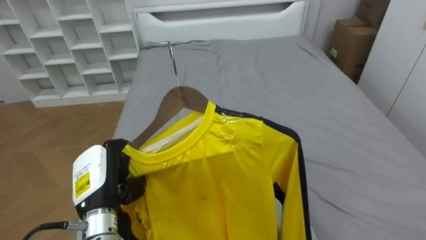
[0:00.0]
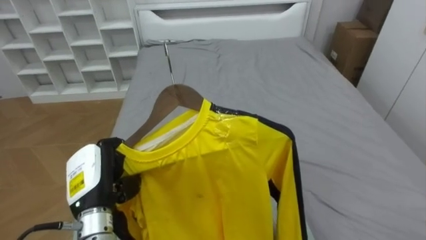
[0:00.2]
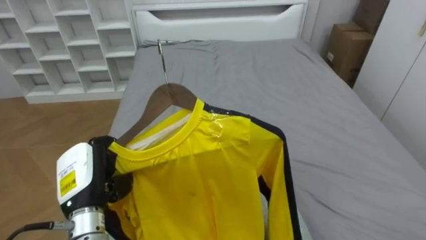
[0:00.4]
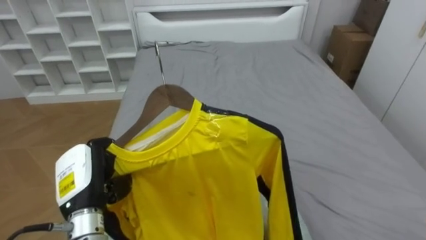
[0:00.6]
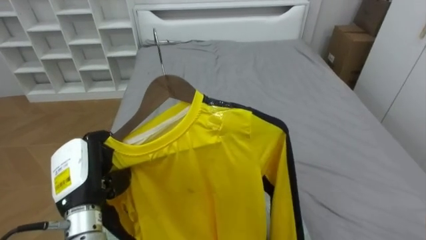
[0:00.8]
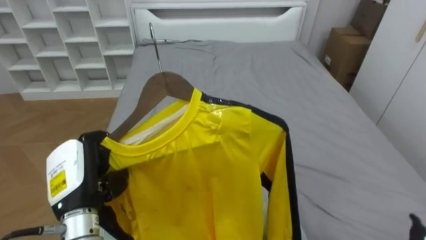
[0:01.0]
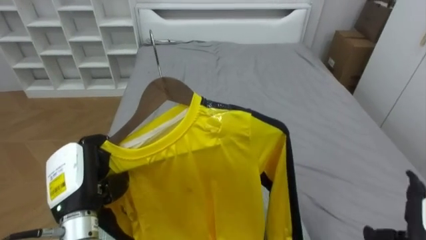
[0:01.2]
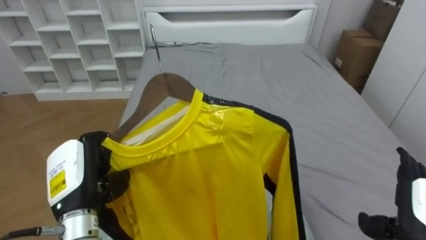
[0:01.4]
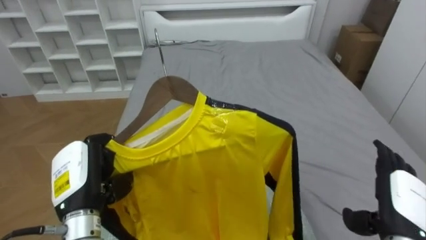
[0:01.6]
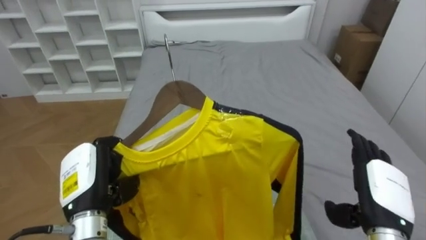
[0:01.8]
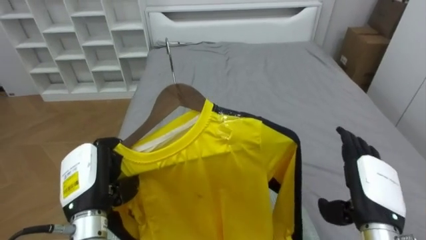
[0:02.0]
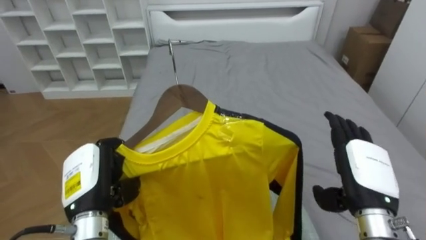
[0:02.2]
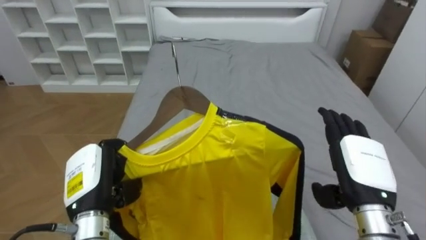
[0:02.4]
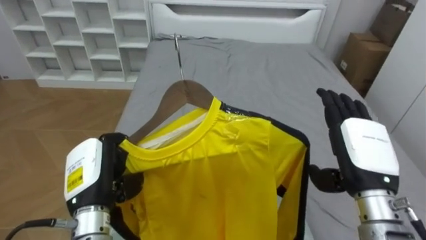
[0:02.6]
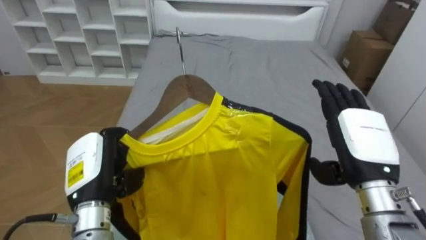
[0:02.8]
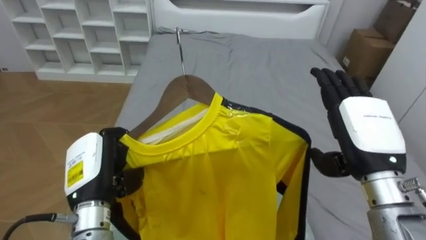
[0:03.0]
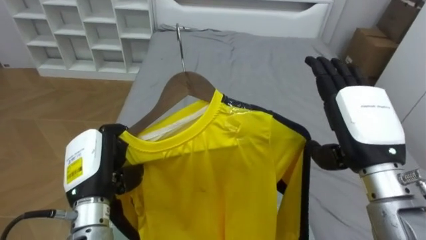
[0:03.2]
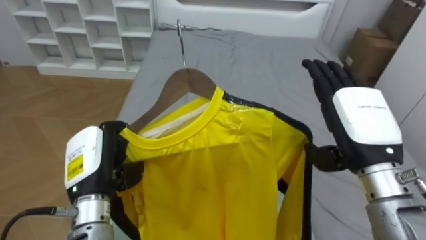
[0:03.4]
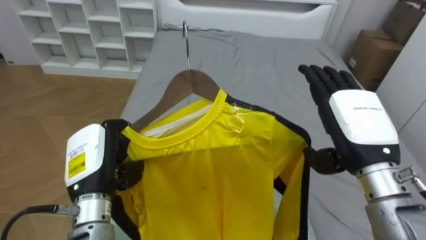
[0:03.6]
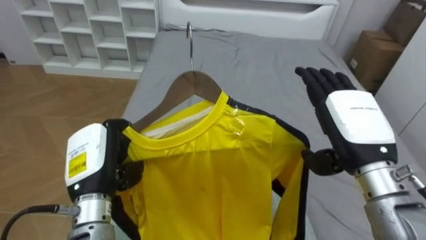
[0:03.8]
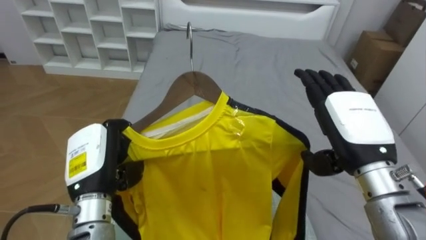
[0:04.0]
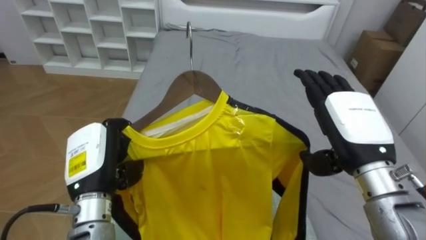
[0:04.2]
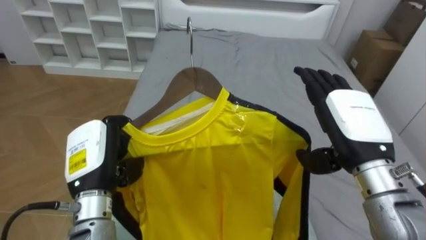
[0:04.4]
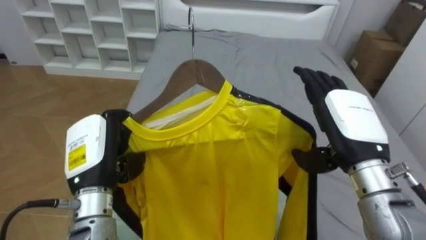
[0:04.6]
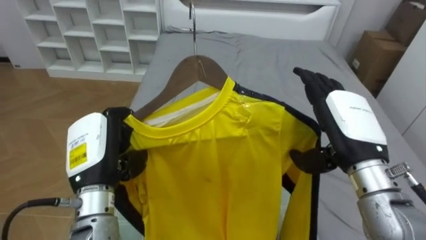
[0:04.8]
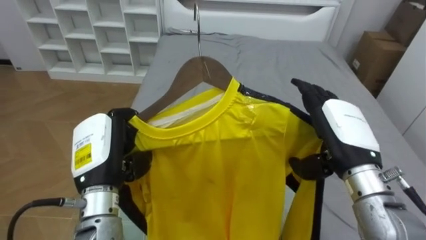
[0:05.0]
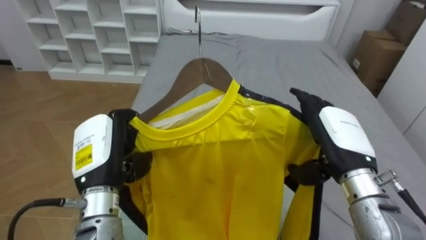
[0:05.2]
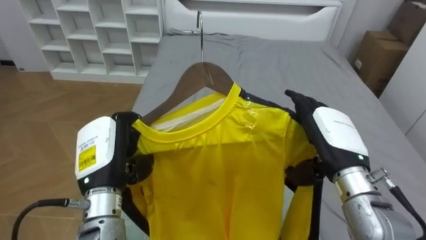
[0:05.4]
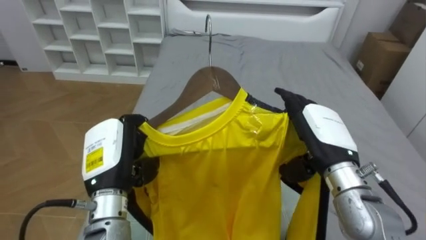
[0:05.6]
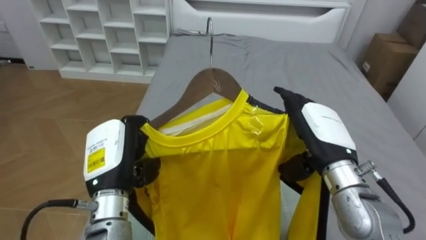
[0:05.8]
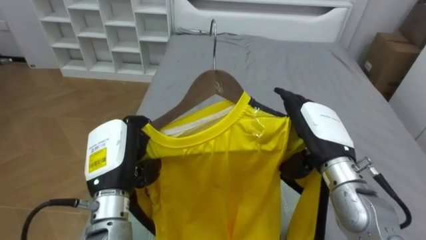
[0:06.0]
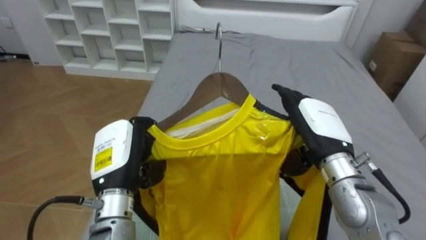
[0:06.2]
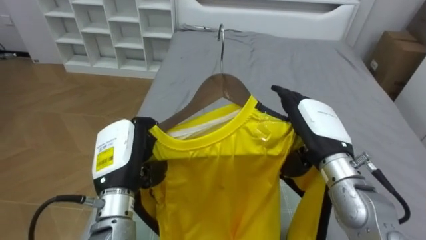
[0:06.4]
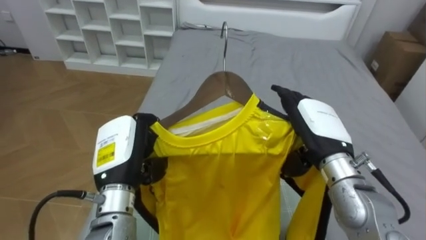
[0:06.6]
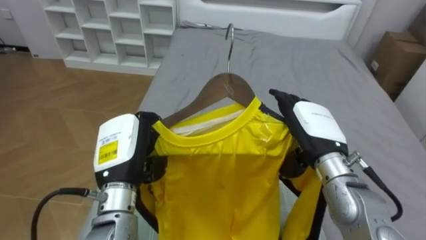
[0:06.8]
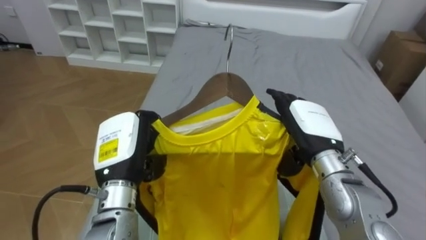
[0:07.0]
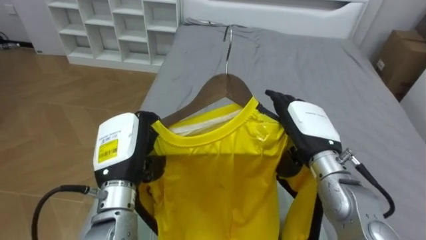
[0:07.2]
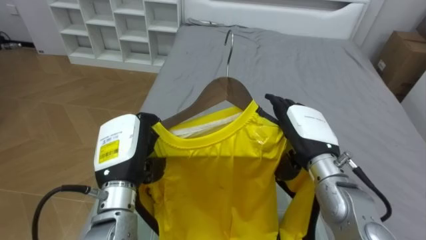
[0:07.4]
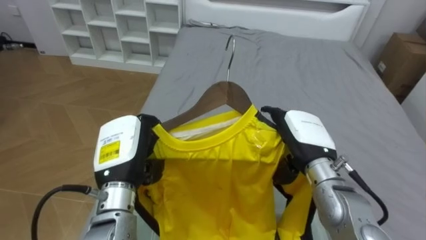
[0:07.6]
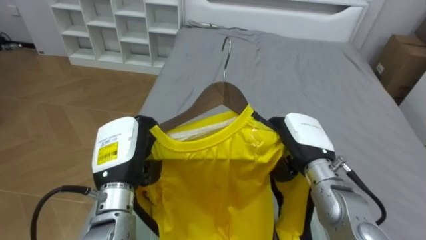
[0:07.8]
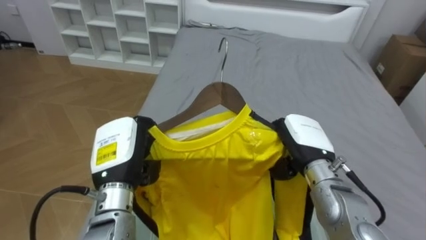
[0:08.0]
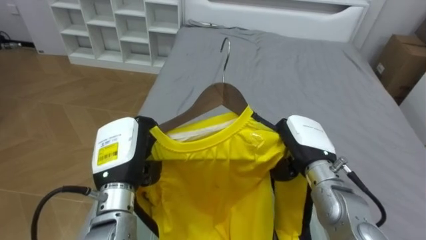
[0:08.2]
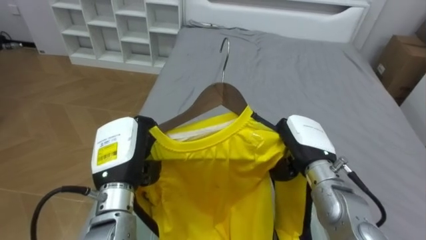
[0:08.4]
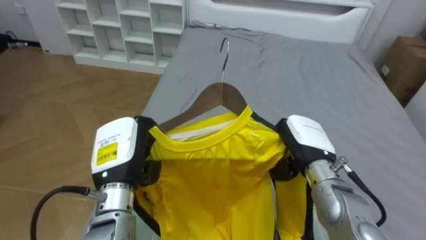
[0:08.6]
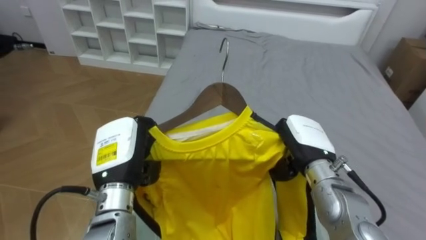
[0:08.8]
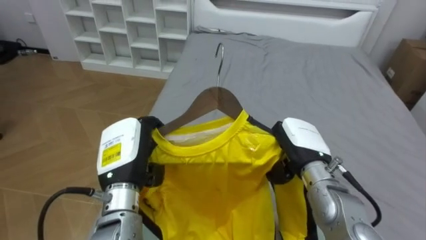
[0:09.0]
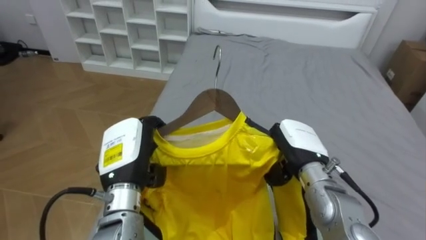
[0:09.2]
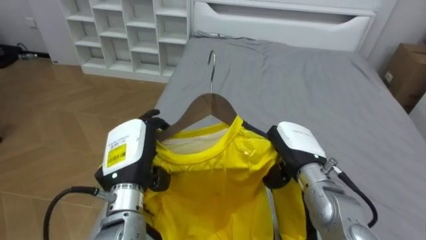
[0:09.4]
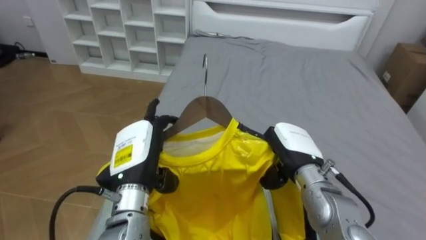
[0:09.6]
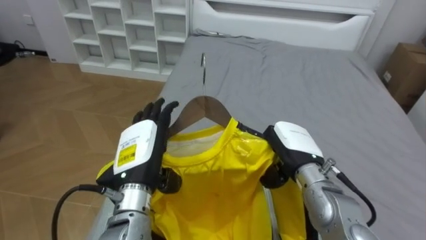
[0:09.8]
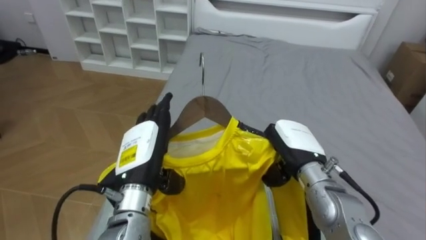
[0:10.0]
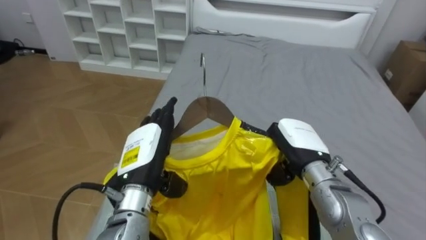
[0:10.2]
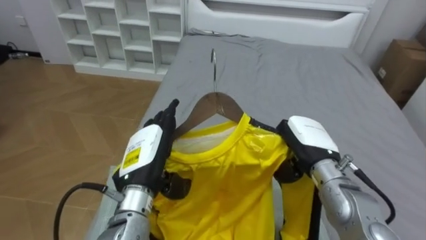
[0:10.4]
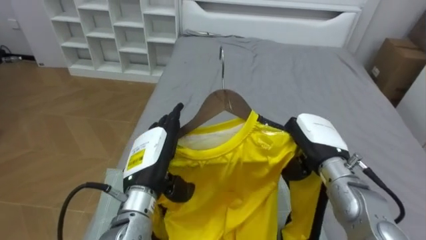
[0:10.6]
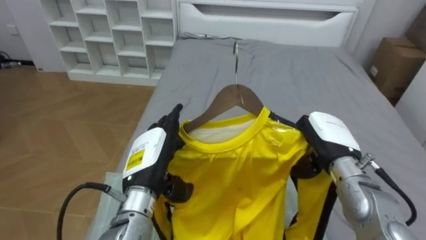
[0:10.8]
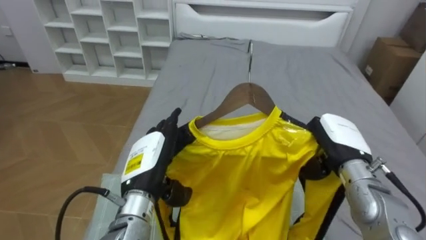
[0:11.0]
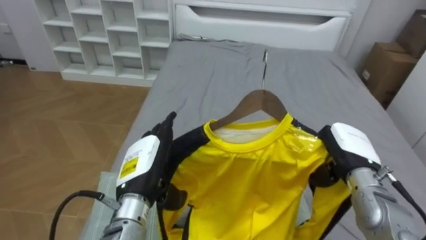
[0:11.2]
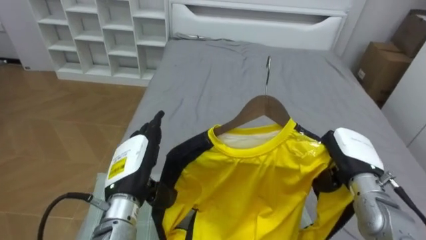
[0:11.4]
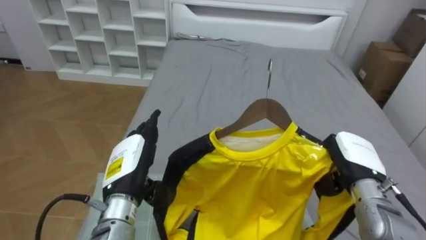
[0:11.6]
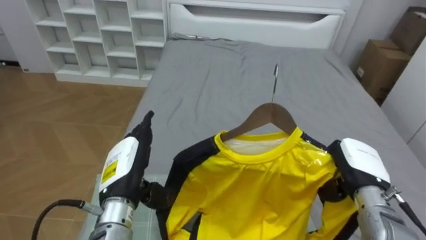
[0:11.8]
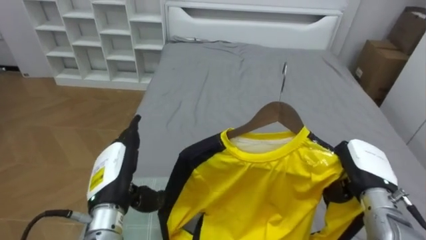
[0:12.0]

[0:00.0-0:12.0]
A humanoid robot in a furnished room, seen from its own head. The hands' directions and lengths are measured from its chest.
Task of the whole recording: Pick up the yellow shirt on the bed and hang it on the clothes rack on the right.
1.6 to 3.0 s: The right hand travels upward, to the left and forward by some 15 cm.
4.4 to 6.0 s: The right hand changes place by about 5 cm.
7.6 to 9.0 s: The right hand closes.
9.0 to 10.4 s: The left hand opens its fingers.
10.4 to 12.0 s: The right hand shifts roughly 10 cm to the right, while the left hand moves to the left, about 5 cm.

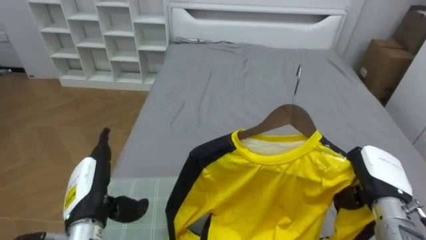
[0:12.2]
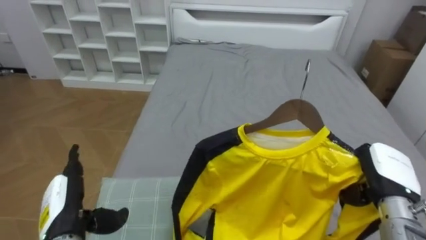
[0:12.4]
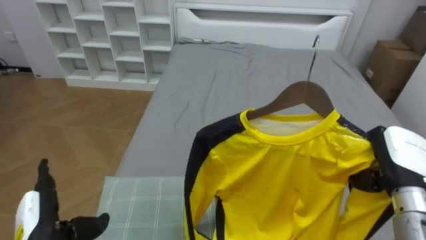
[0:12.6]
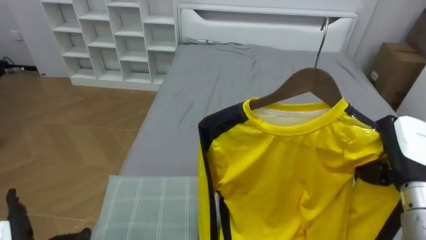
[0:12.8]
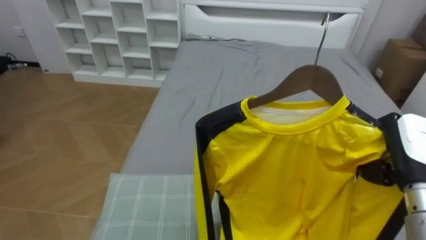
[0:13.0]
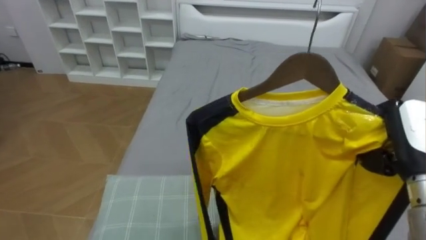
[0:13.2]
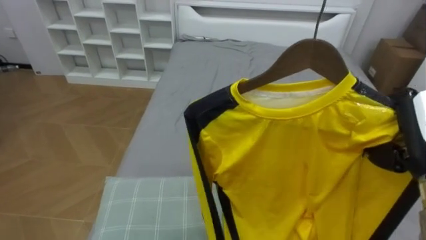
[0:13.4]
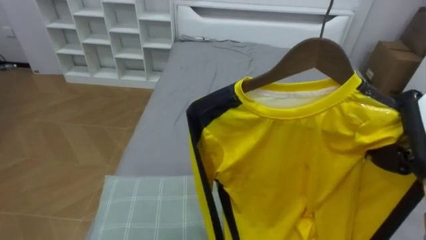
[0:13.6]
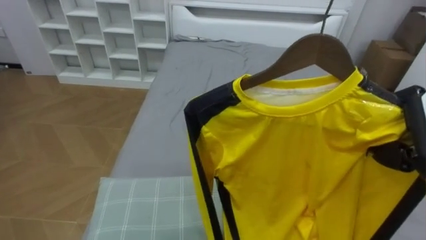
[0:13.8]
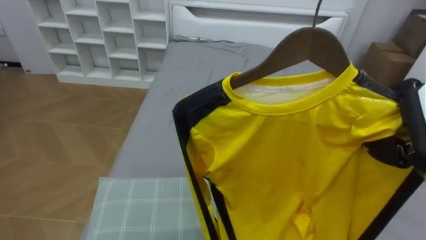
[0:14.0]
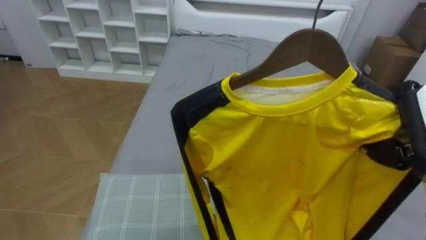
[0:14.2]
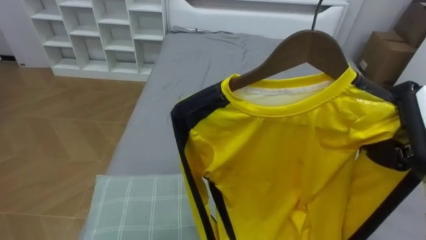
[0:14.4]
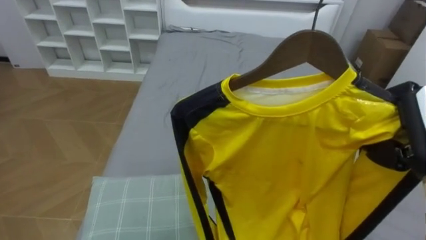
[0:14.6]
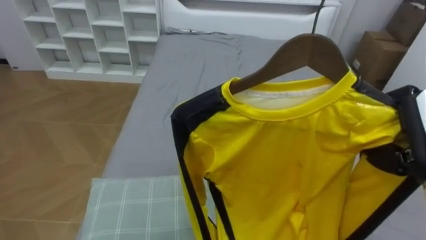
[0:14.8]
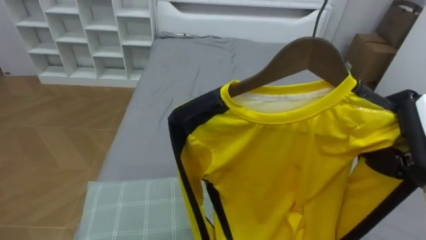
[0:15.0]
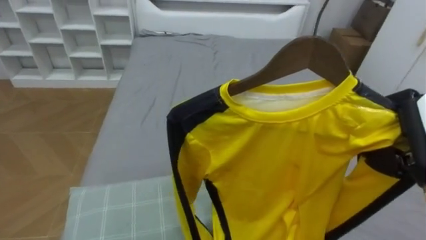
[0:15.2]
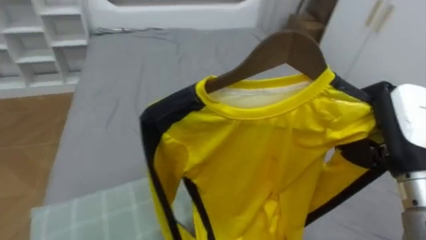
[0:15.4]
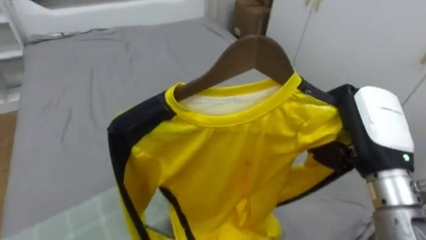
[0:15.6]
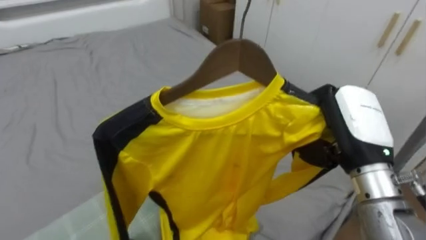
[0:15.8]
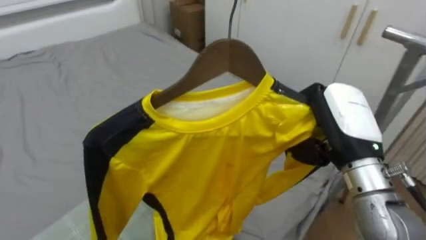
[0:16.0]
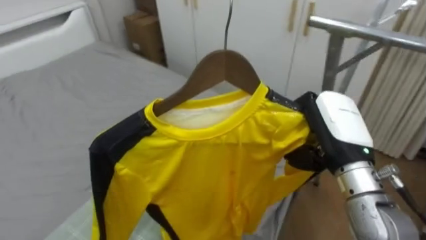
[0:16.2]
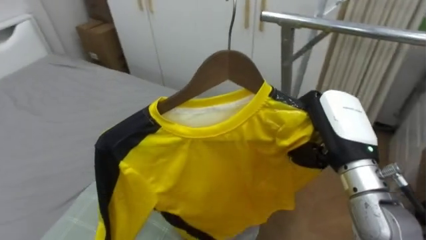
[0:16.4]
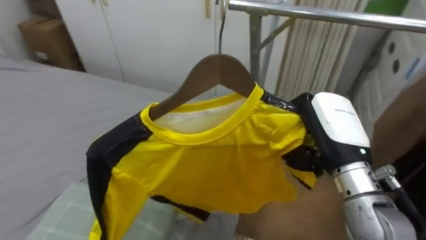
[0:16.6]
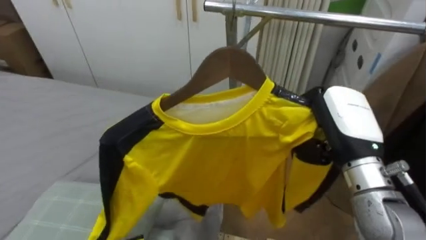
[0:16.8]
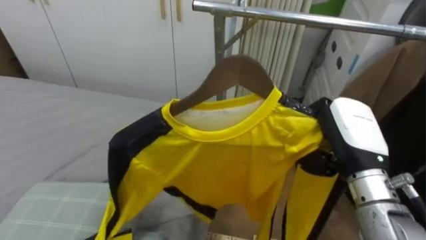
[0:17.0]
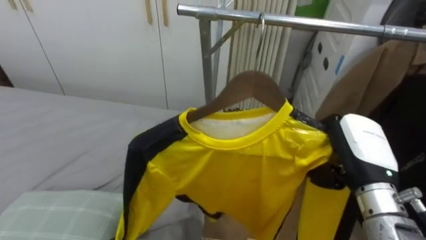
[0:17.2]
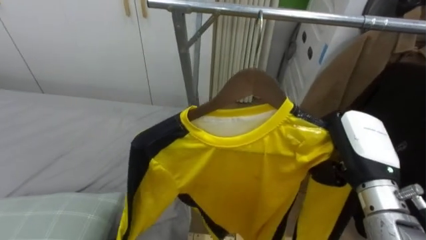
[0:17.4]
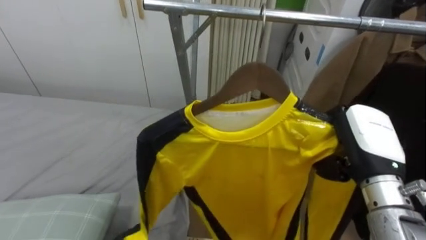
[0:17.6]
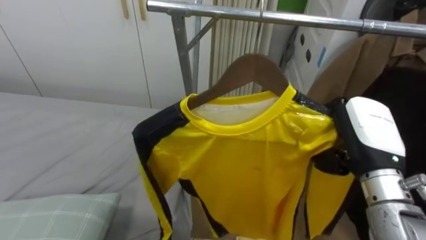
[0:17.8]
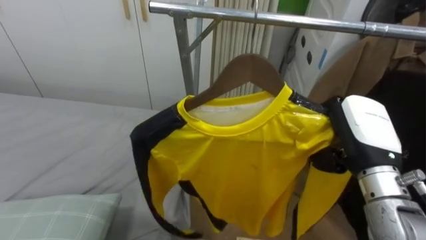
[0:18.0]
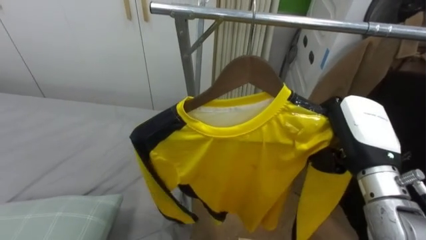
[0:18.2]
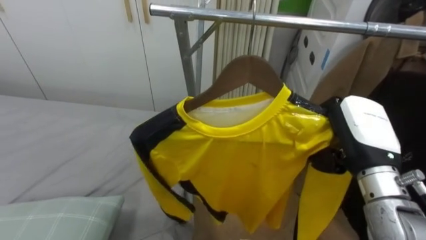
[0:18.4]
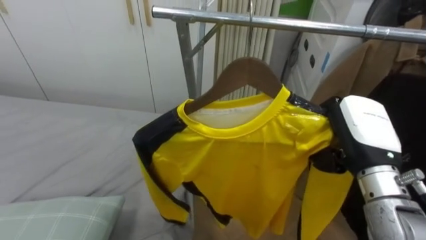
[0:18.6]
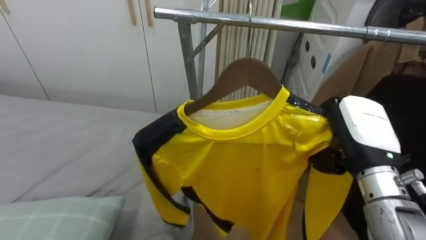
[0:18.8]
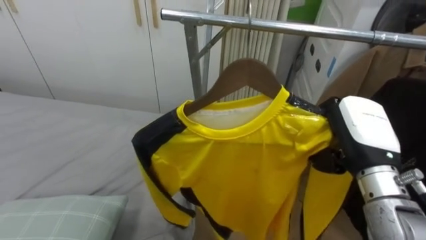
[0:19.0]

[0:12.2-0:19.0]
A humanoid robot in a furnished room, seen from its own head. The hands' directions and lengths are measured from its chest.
Task of the whole recording: Pick up the yellow shirt on the bed and hang it on the clothes rack on the right.
12.2 to 13.6 s: The right hand moves upward, about 15 cm.
15.0 to 16.2 s: The robot faces roughly 55 degrees further to its right. The right hand travels to the left by about 10 cm.
16.2 to 17.6 s: The robot's body swings some 35 degrees to its right. The right hand moves roughly 5 cm.
